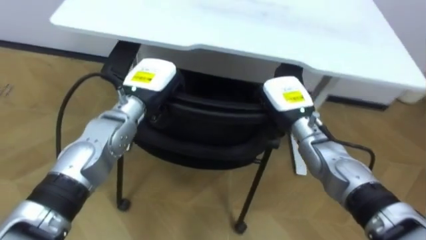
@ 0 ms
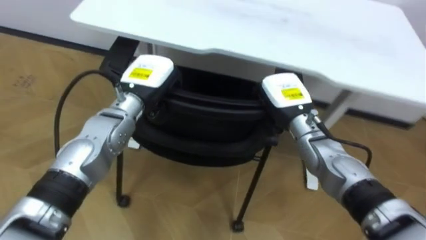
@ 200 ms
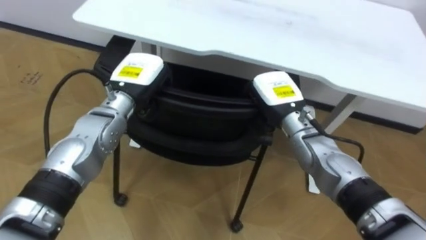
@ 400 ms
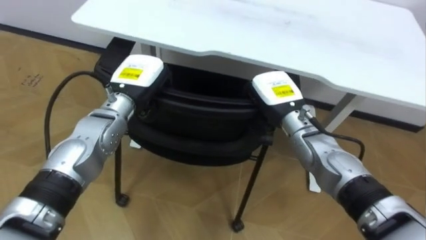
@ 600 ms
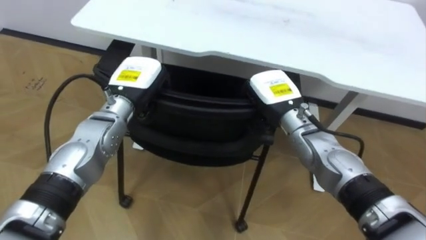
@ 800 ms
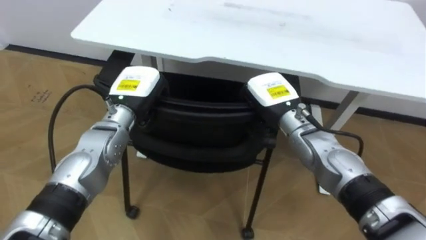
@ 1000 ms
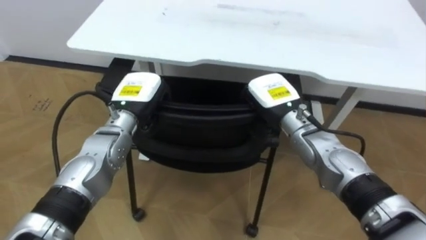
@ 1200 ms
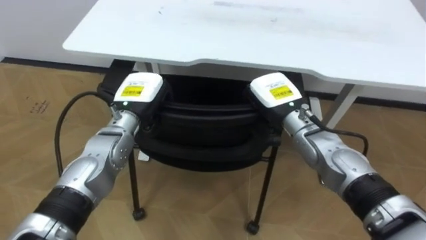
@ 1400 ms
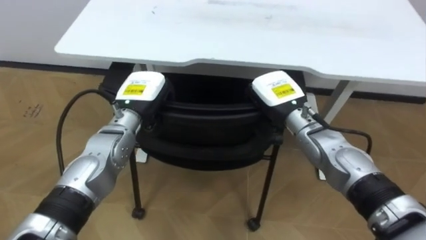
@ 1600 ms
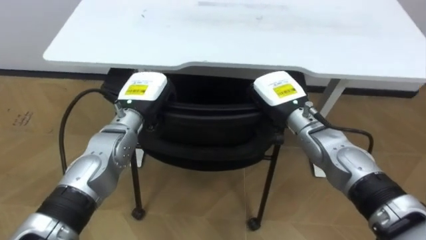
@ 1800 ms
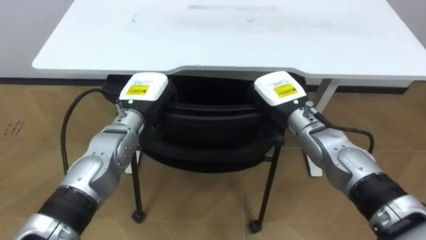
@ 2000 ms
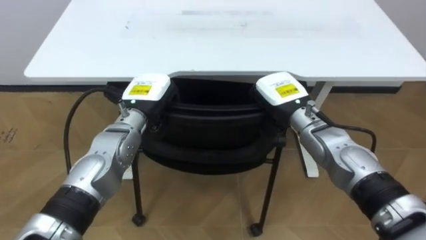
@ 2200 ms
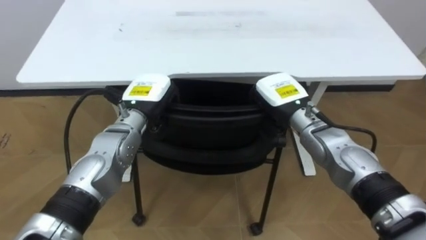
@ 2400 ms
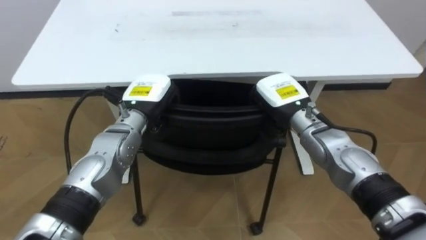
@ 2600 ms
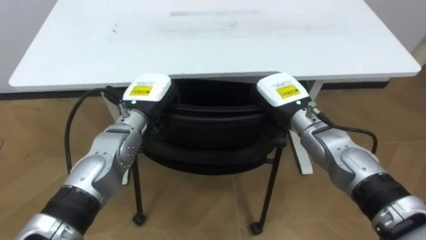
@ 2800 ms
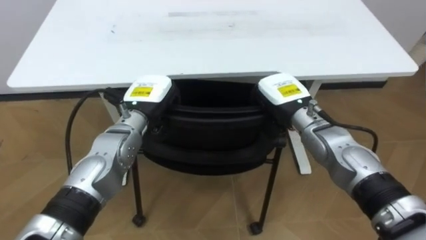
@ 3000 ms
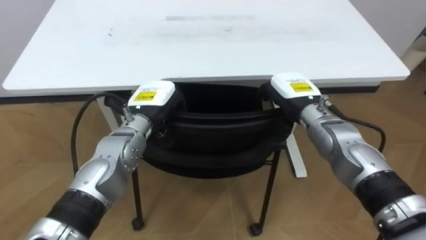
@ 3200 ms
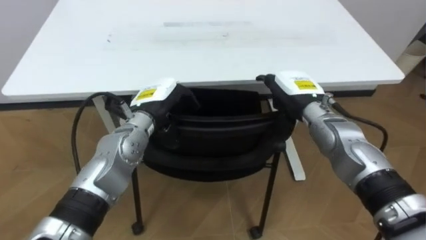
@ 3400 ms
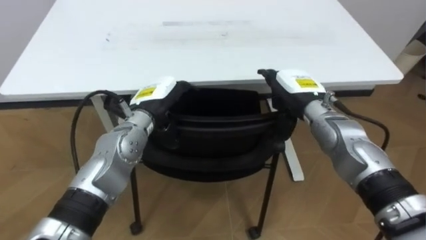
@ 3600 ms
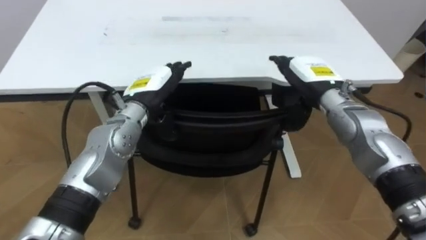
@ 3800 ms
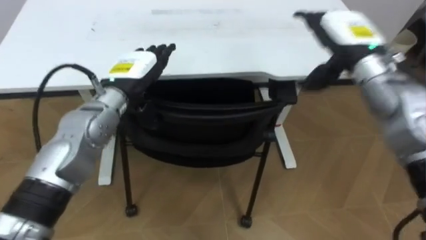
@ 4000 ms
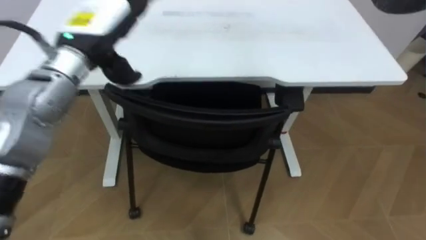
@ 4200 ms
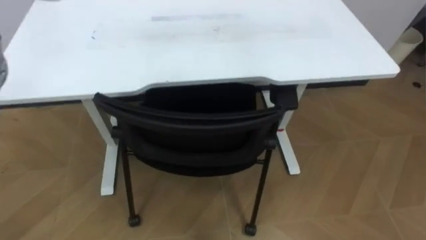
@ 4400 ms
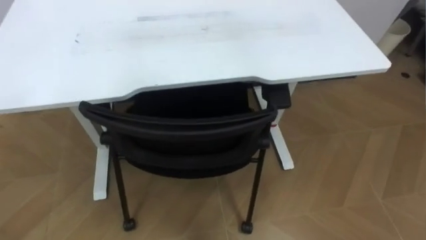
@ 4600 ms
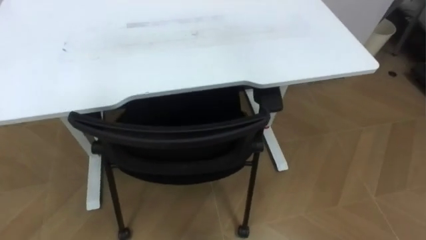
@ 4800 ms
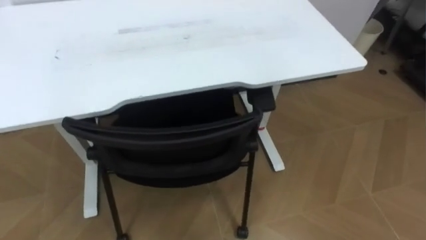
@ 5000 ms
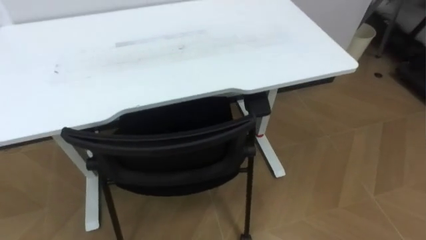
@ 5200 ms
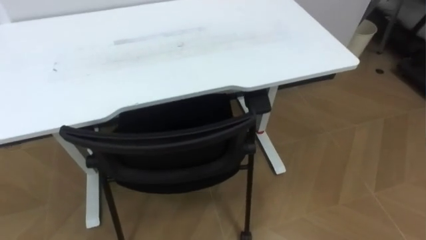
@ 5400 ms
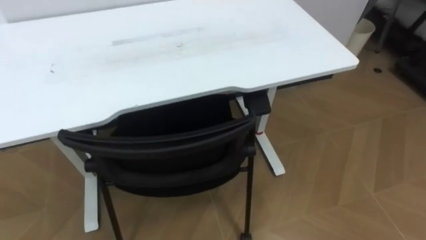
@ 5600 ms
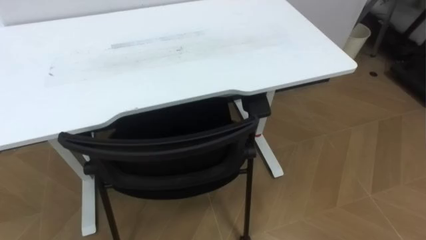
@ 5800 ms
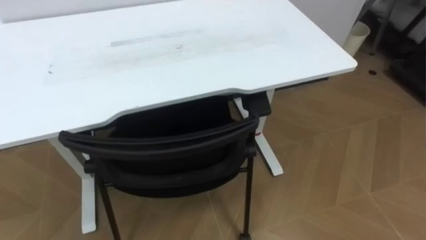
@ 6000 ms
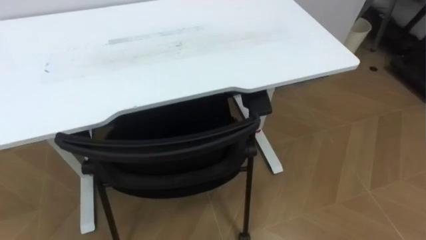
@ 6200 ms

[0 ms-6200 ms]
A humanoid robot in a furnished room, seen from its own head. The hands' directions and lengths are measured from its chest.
Task of the whole recording: Push the chair under the table.
1600 ms to 3200 ms: The right hand opens.

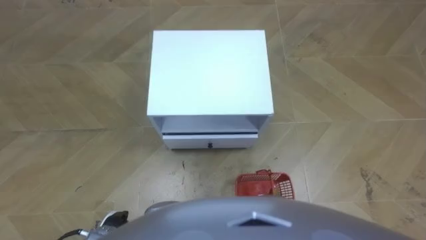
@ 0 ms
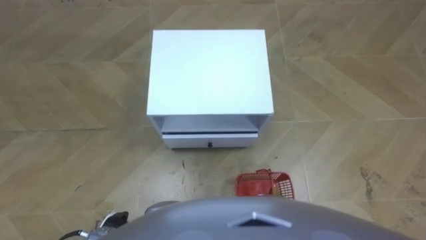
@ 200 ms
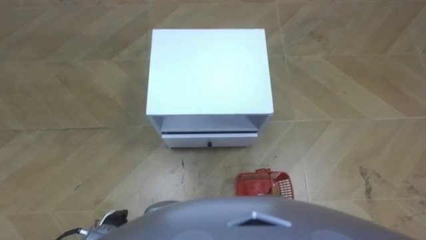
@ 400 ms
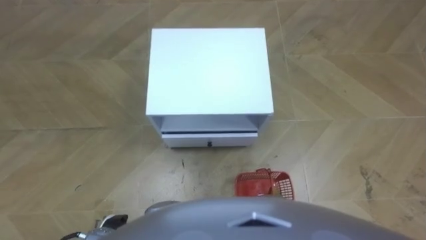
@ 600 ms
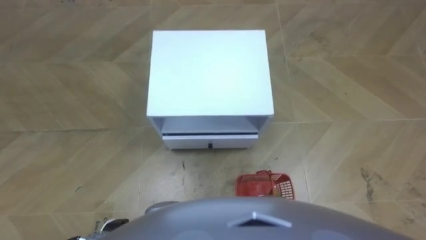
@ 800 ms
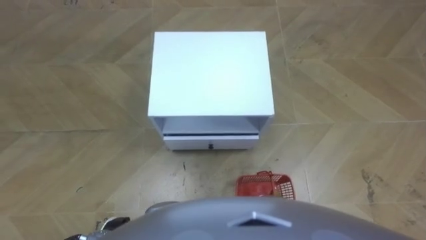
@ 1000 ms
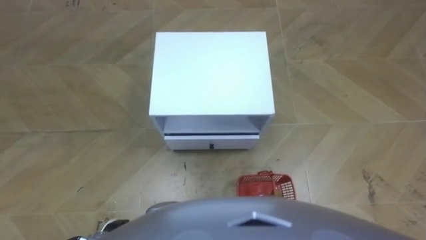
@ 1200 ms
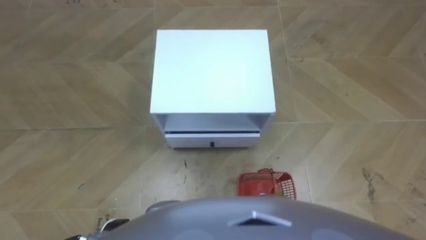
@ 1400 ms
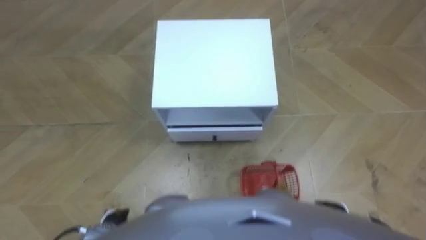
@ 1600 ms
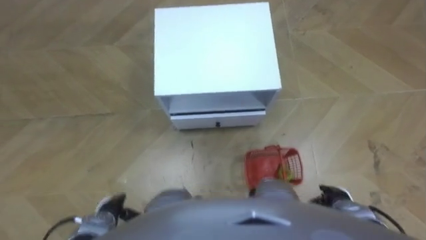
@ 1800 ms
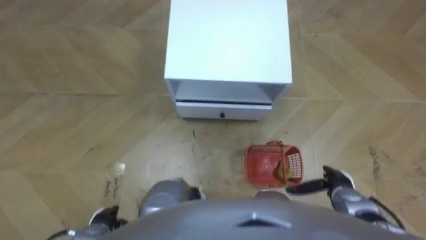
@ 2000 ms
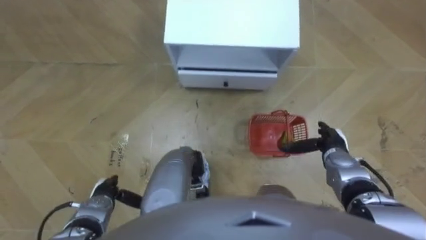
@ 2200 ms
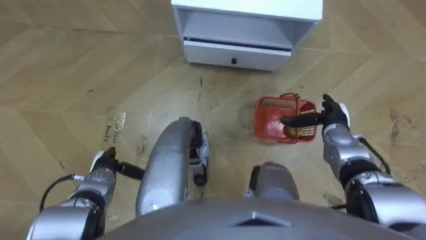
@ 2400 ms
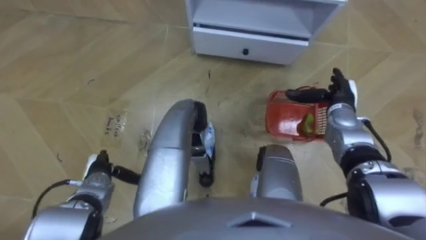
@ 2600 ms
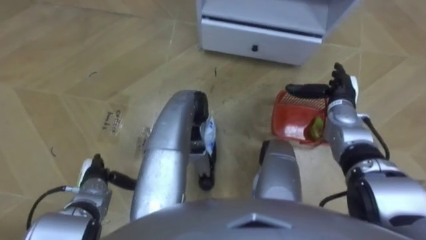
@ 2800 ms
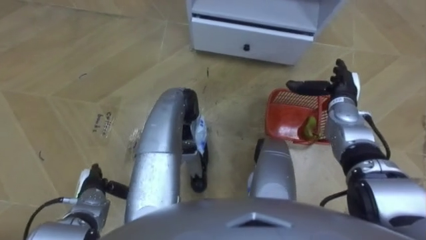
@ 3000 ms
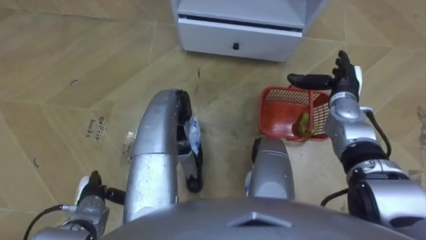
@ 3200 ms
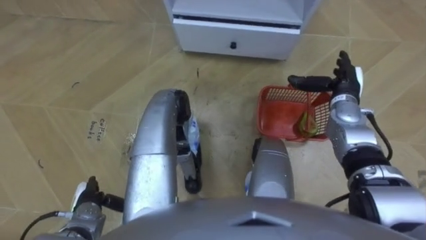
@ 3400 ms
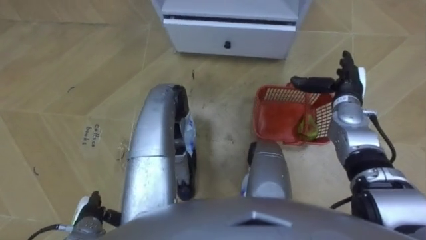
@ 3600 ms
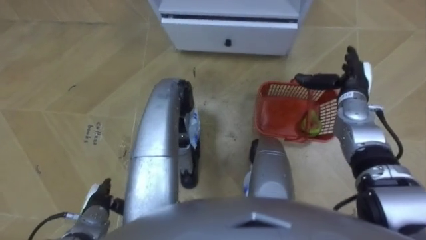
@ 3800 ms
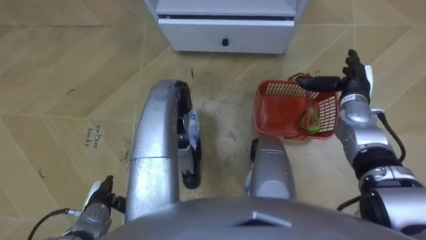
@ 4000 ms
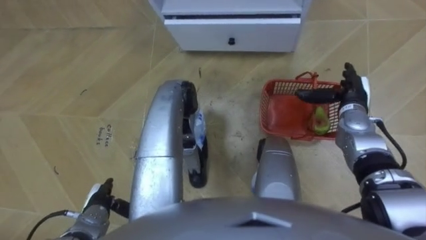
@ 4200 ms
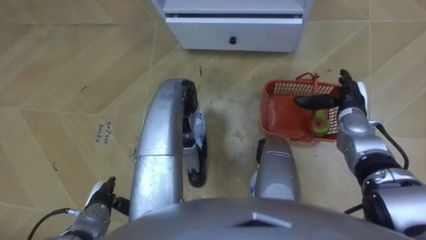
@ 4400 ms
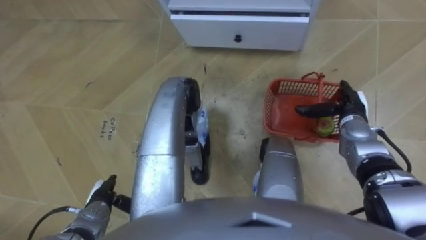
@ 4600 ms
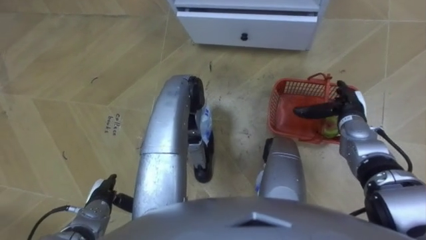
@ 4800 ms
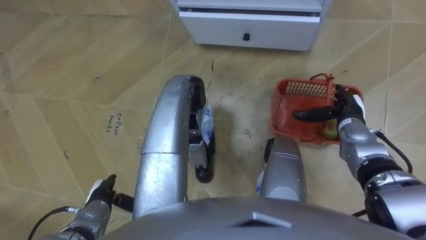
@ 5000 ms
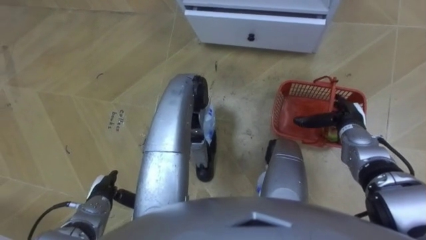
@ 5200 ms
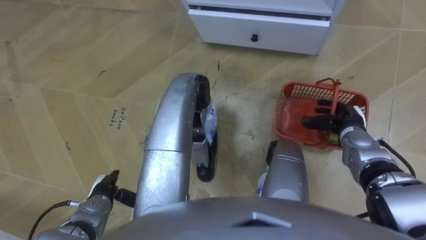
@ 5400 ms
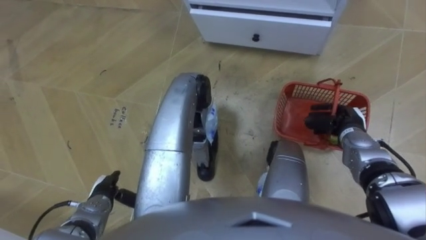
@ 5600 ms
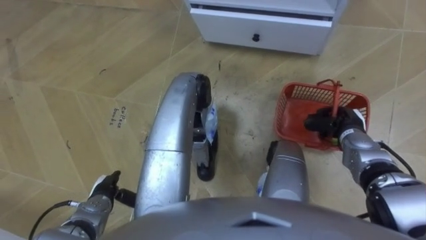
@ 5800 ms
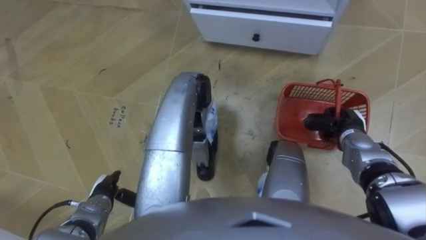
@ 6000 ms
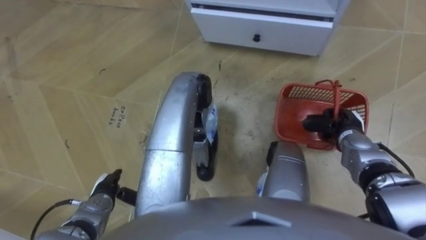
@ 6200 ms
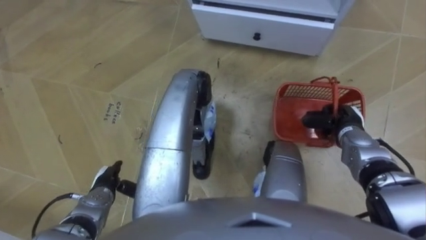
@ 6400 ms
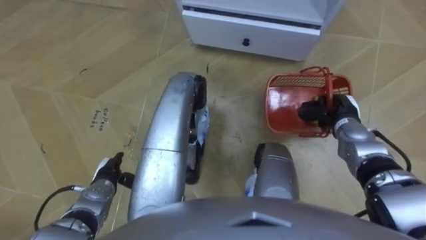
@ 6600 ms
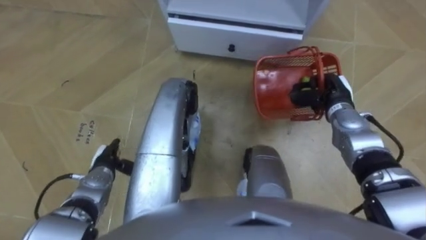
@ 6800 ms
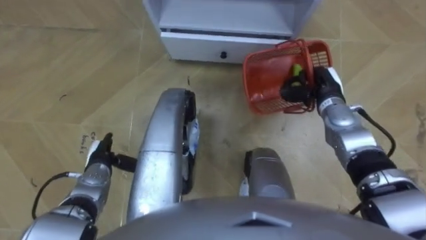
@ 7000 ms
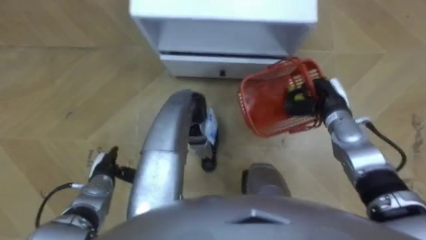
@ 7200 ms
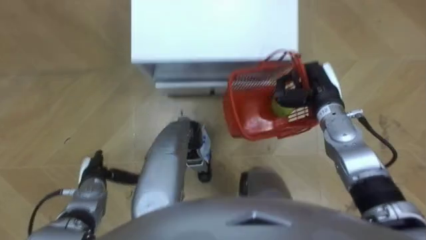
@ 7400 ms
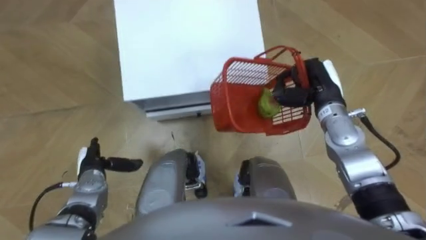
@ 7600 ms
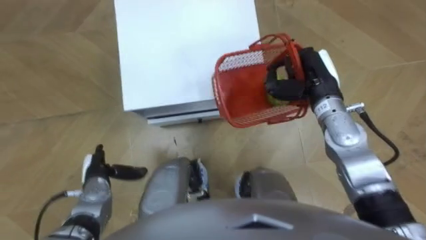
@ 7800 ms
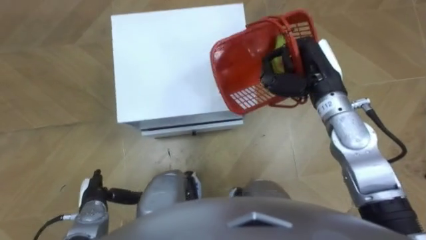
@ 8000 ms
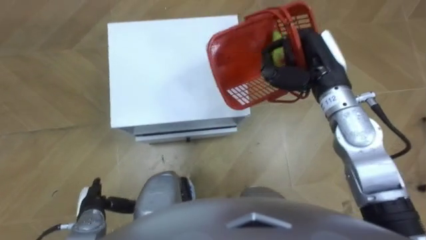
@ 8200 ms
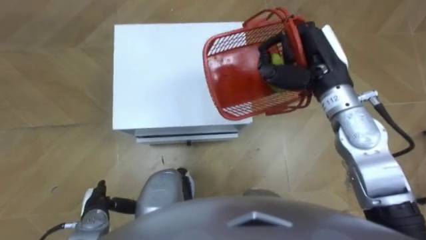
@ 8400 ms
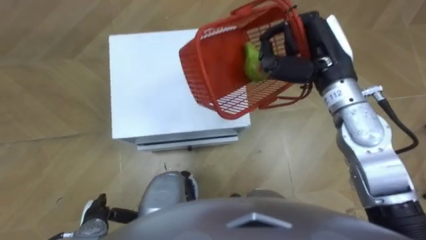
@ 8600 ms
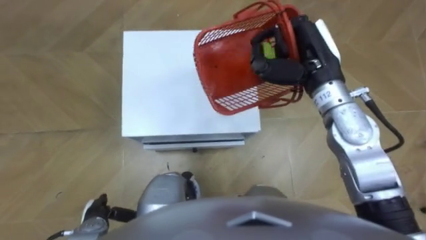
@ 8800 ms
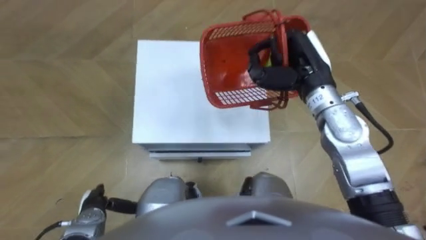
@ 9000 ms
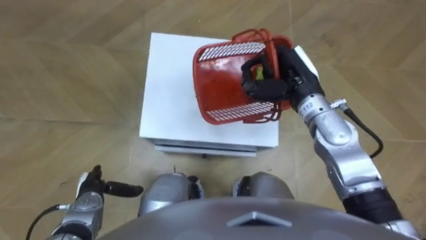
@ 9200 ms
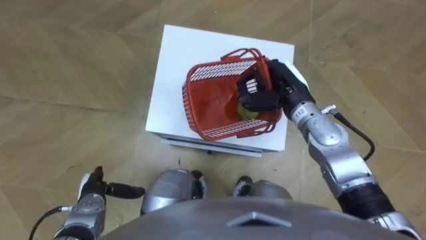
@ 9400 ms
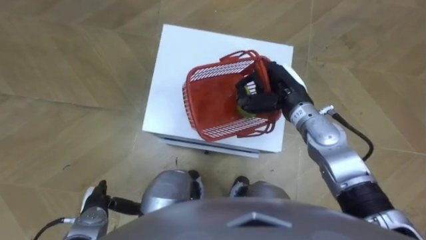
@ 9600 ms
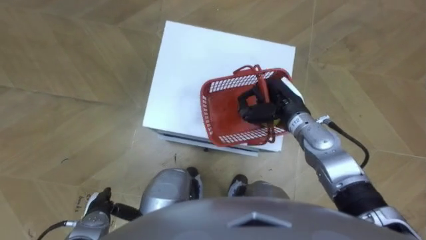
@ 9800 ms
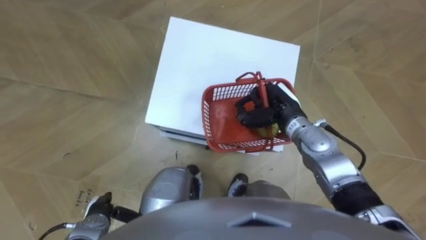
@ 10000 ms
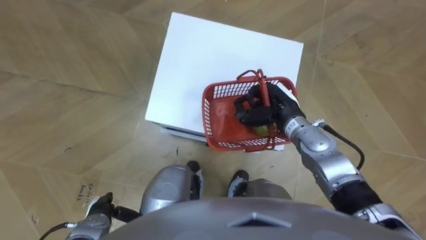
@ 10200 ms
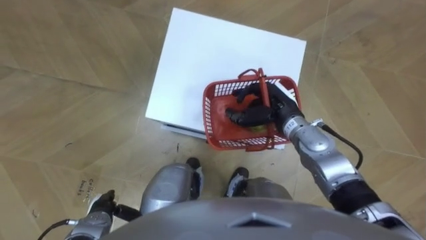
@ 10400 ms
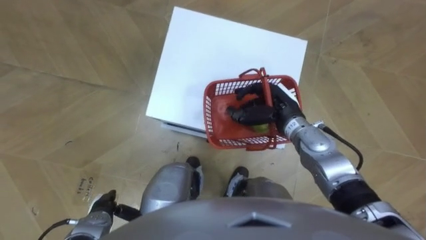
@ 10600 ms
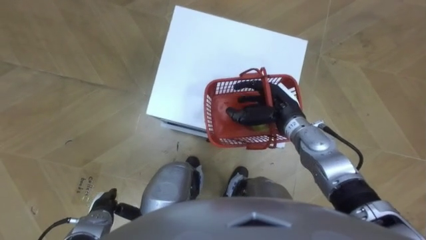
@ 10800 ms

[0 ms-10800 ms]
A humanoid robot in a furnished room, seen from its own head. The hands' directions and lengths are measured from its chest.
Task of the whole recording: Pick up the fruit basket from the floor and place it on the cabinet.
1600 ms to 3000 ms: The left hand is displaced forward by roughly 10 cm. Meanwhile the right hand is displaced forward and upward by approximately 30 cm.
4600 ms to 6200 ms: The right hand closes its fingers.
6200 ms to 7800 ms: The robot turns to its right by some 20 degrees. The left hand ends up roughly 5 cm from where it was; the right hand goes approximately 20 cm upward, to the left and forward.
7800 ms to 9200 ms: The right hand goes upward and returns, approximately 10 cm each way.
9200 ms to 10800 ms: The right hand goes approximately 10 cm downward, and opens, while the left hand changes place by approximately 5 cm.
